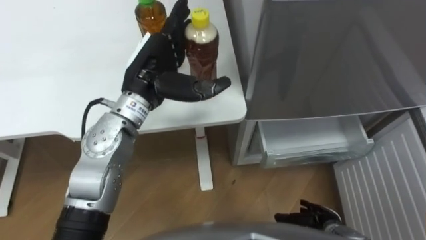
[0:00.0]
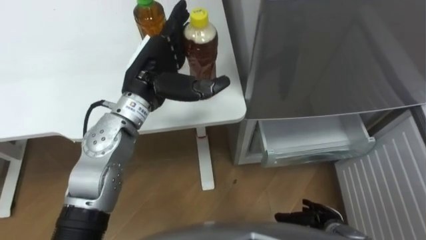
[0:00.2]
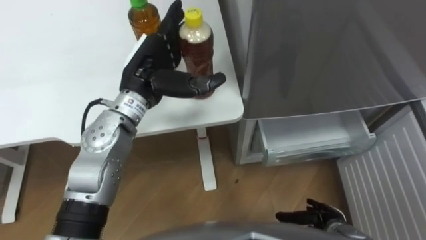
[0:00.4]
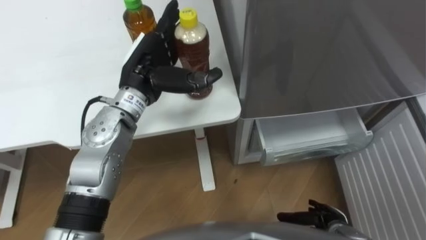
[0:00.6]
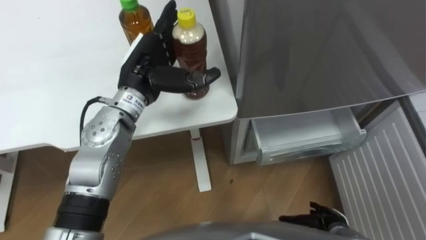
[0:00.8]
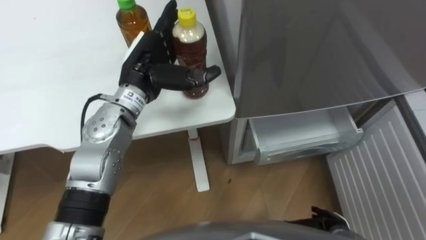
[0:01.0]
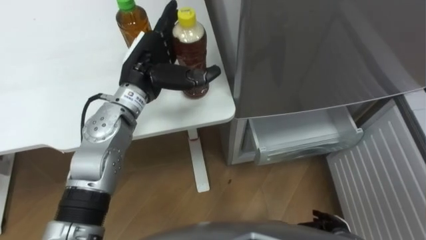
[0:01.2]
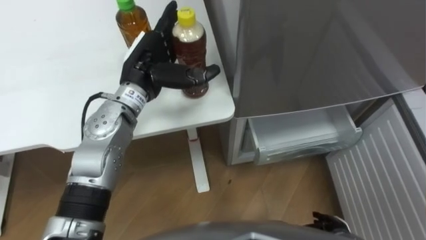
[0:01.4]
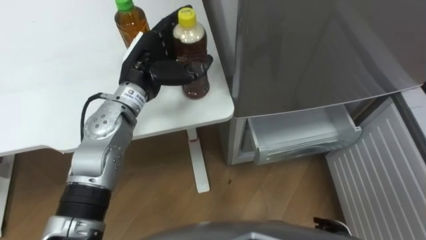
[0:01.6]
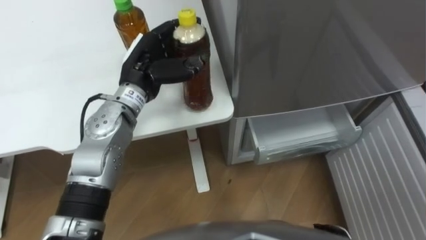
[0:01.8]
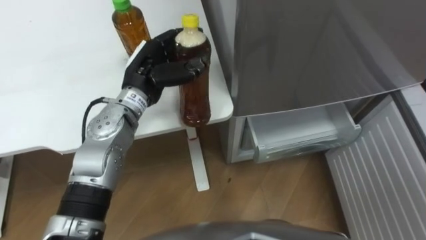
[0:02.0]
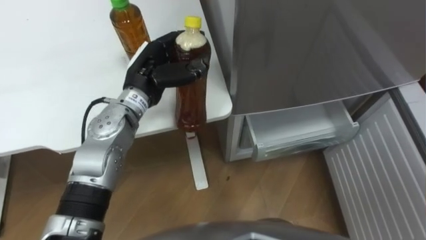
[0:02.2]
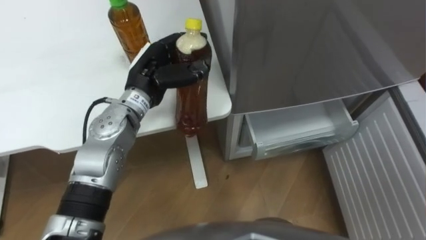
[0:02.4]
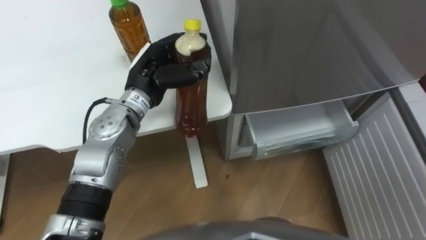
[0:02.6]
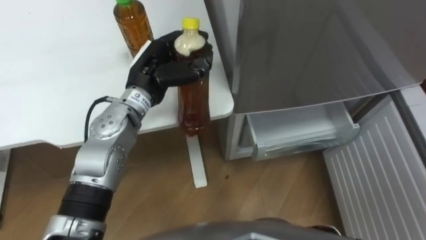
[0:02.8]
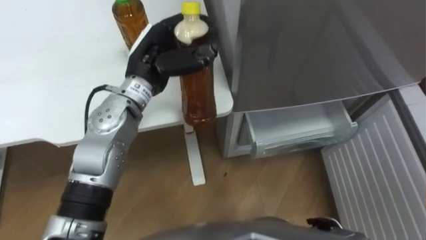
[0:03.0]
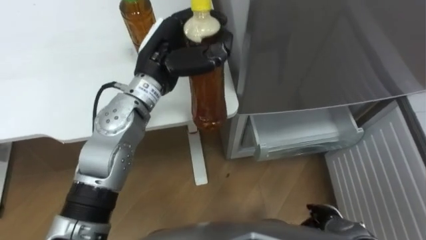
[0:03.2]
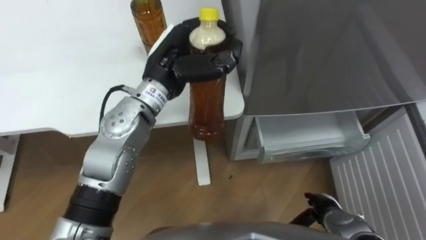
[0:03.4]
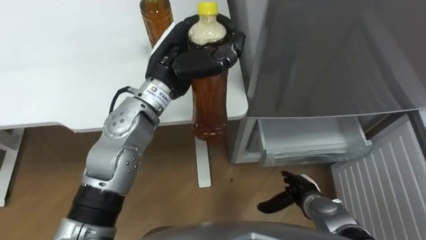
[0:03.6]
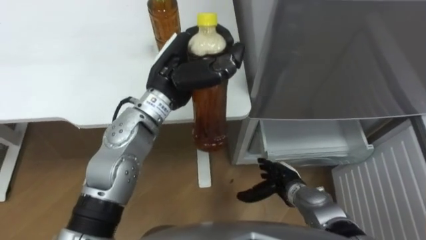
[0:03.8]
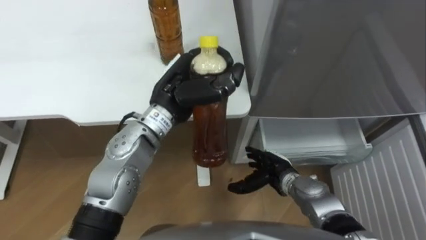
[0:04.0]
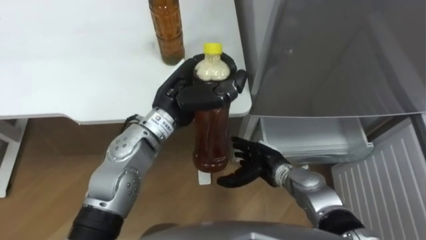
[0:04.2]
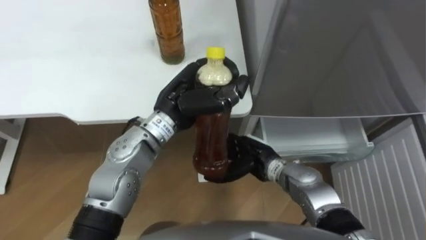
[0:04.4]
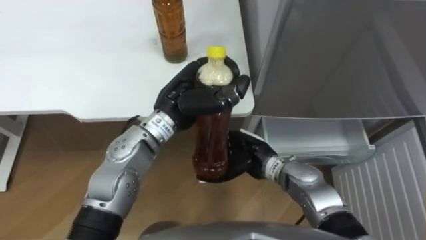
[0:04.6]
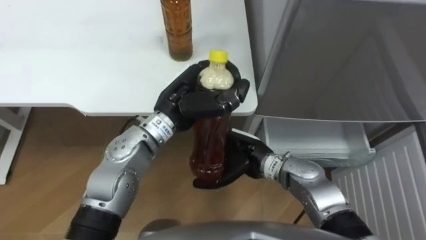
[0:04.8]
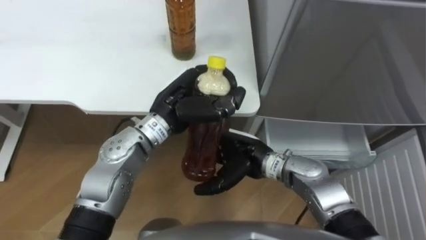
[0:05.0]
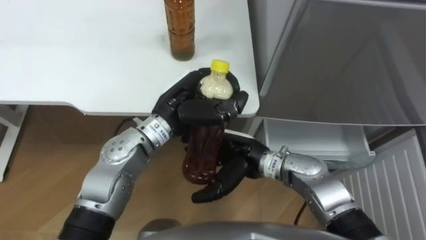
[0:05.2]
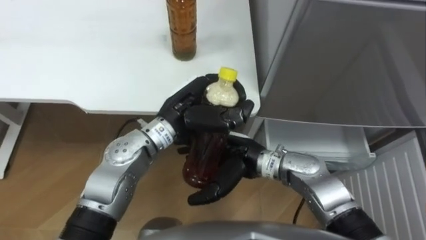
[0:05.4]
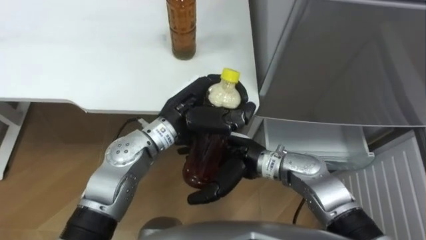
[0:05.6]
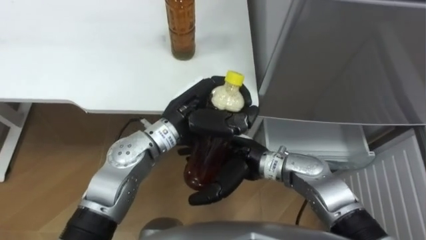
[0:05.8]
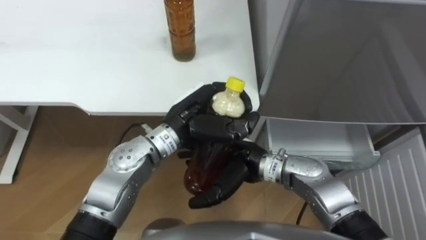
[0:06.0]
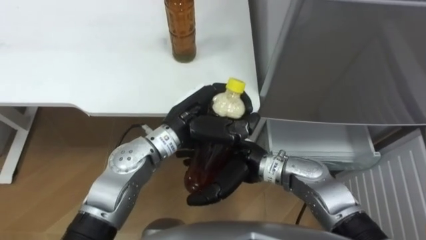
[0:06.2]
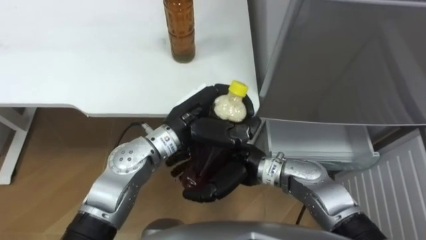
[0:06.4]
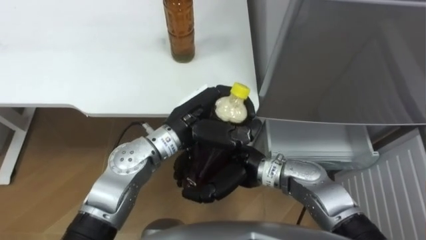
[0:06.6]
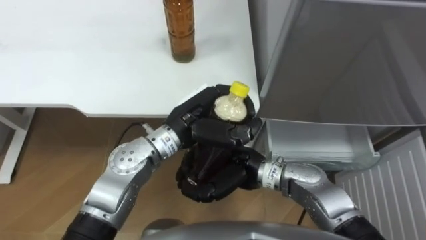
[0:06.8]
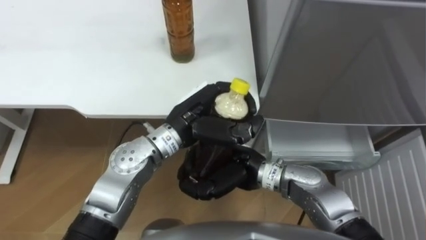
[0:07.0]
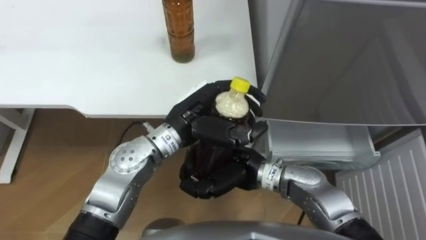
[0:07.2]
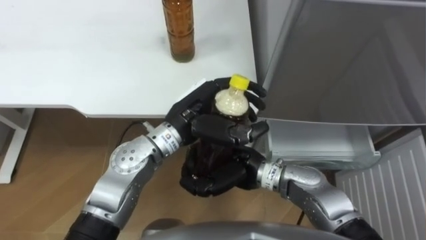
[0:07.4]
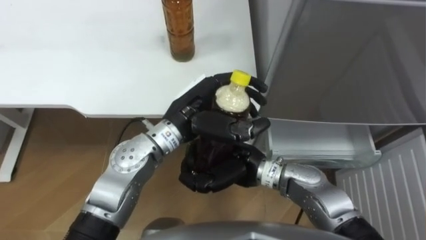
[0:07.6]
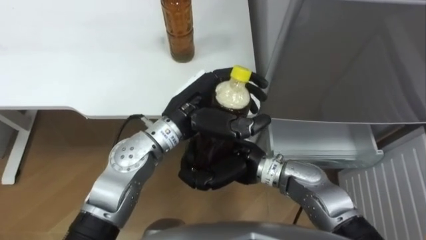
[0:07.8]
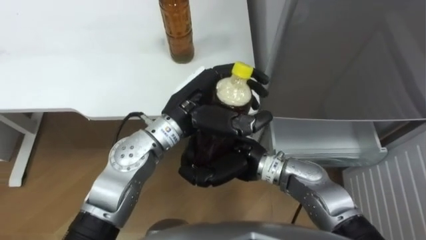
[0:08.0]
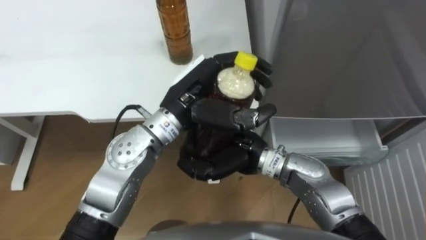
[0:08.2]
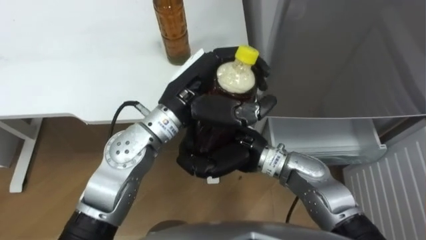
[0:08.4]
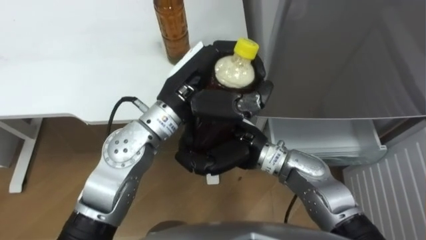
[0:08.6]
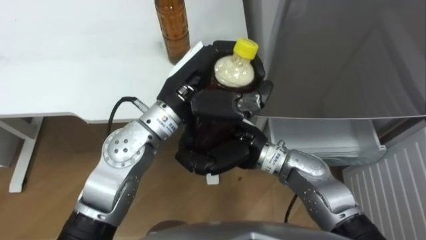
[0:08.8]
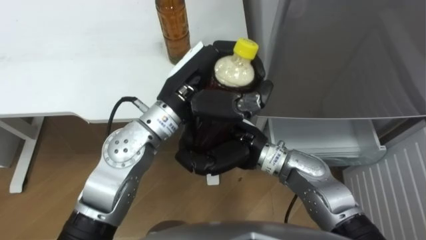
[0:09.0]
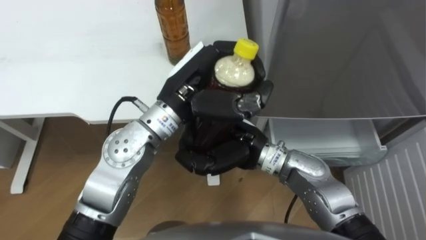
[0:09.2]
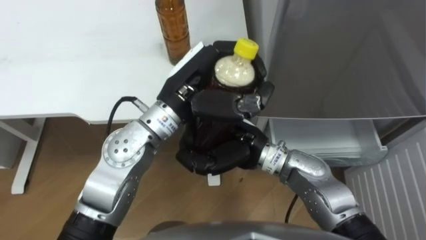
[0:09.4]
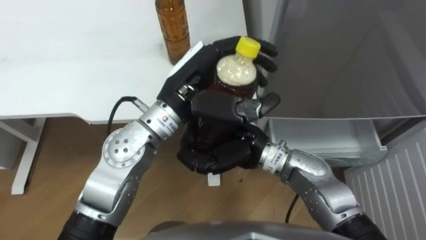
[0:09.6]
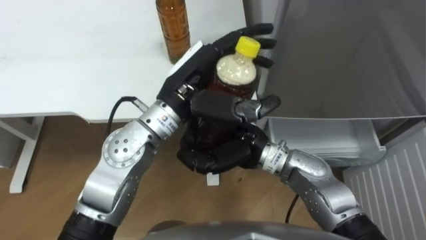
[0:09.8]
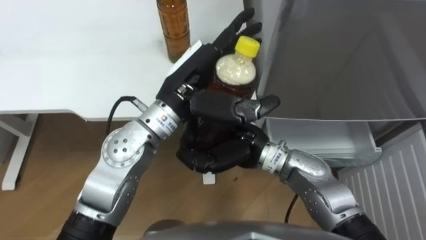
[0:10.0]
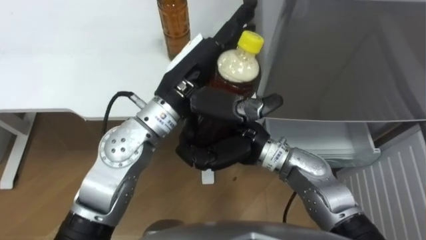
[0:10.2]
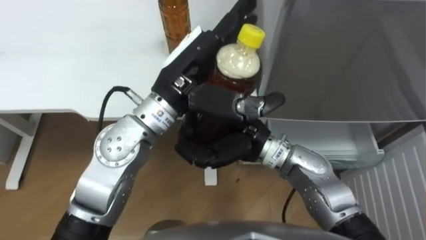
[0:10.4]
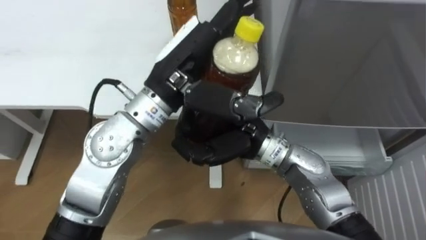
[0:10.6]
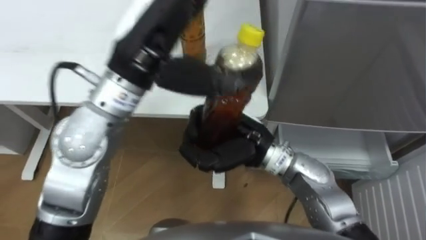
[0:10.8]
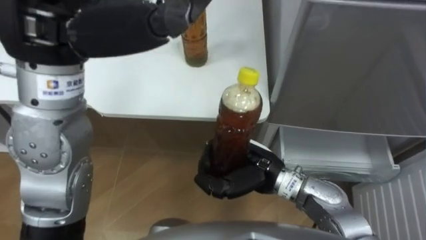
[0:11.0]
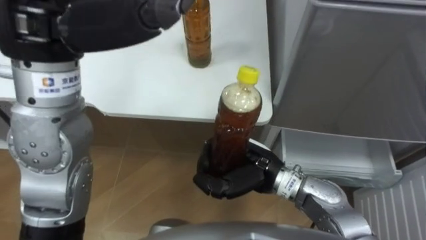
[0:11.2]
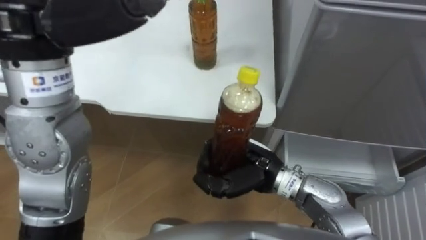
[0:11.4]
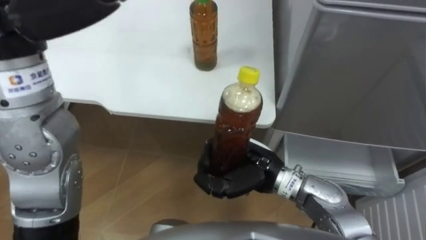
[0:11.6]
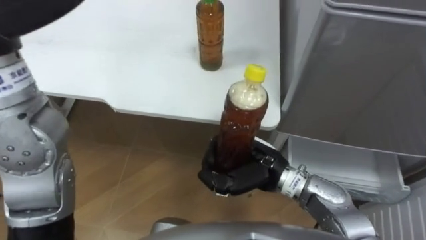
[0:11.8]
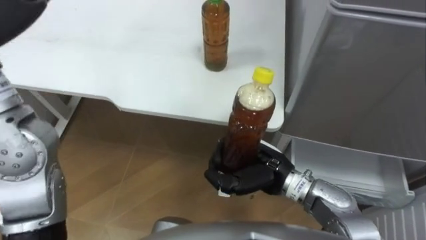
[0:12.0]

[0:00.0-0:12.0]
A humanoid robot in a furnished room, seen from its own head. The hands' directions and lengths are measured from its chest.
Task of the whole recording: Place the drink on the table on the bottom shelf of the refrigerator, then close the drawer and the refrigerator door.
0:01.6 to 0:03.0: The left hand closes its fingers.
0:03.0 to 0:04.4: The left hand travels to the right by roughly 5 cm; the right hand is displaced to the left, forward and upward by about 25 cm.
0:04.4 to 0:06.0: The right hand is displaced upward and to the left by roughly 10 cm.
0:06.0 to 0:07.6: The right hand closes.
0:07.6 to 0:09.0: The left hand shifts roughly 5 cm upward.
0:09.0 to 0:10.4: The left hand opens up.
0:10.4 to 0:12.0: The right hand goes about 5 cm downward.

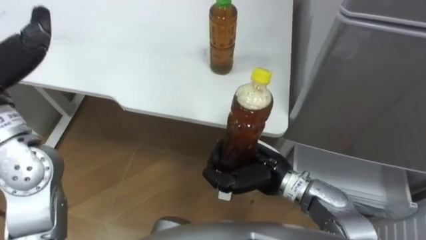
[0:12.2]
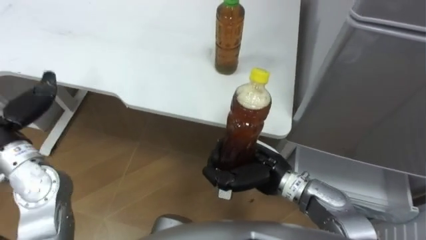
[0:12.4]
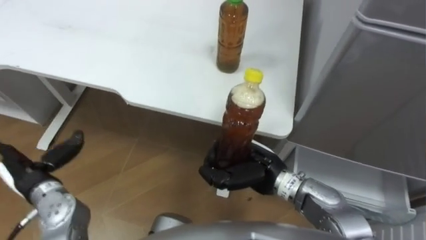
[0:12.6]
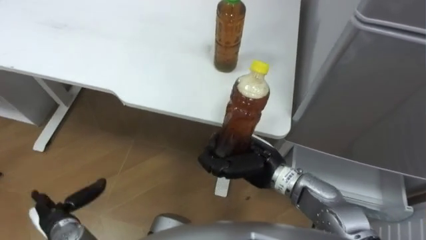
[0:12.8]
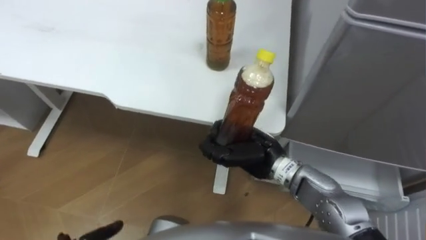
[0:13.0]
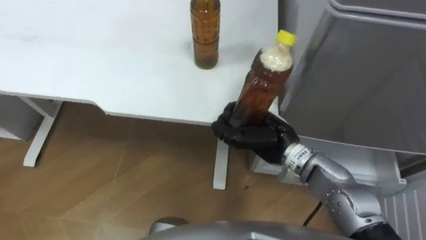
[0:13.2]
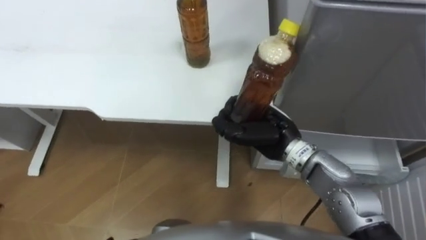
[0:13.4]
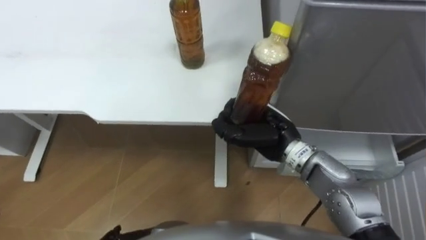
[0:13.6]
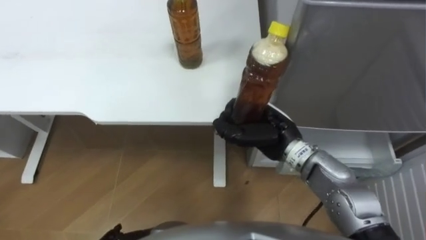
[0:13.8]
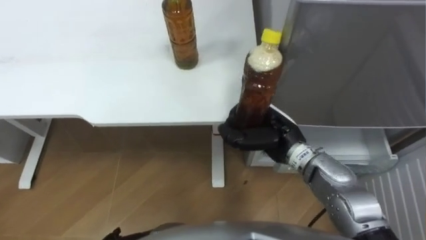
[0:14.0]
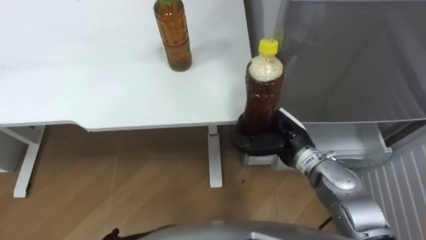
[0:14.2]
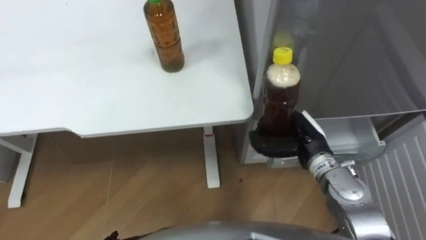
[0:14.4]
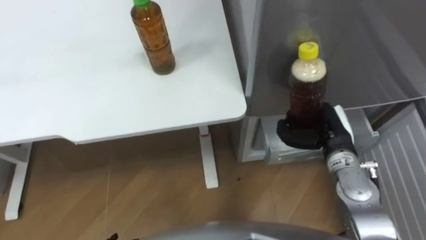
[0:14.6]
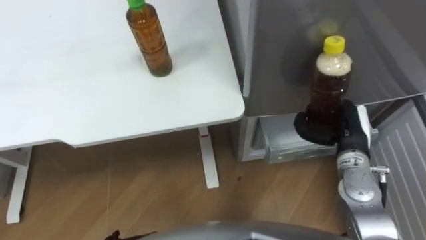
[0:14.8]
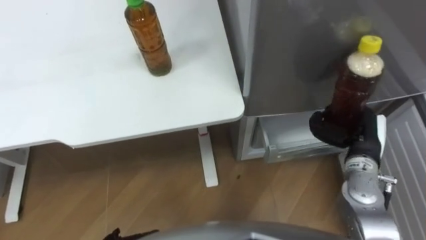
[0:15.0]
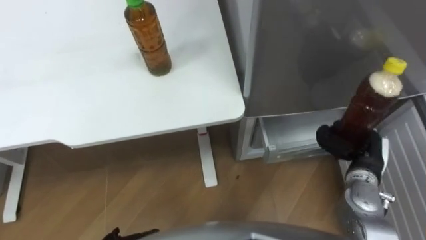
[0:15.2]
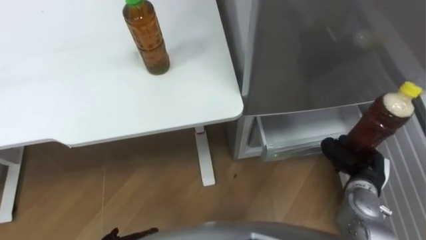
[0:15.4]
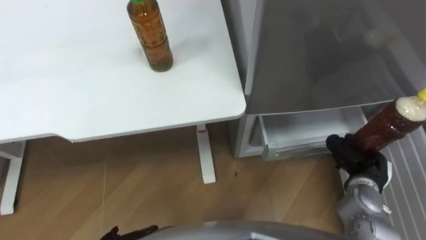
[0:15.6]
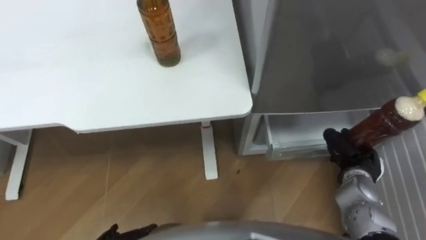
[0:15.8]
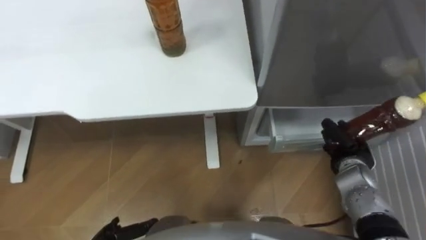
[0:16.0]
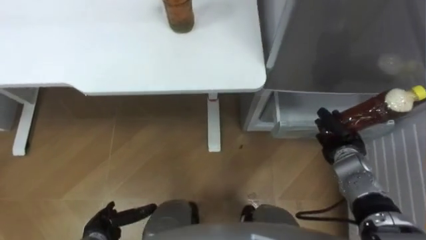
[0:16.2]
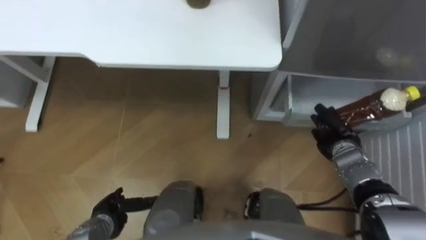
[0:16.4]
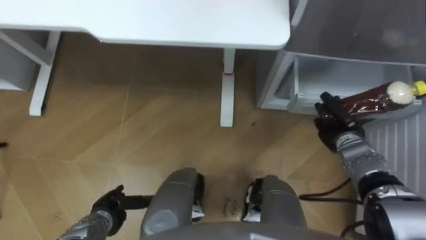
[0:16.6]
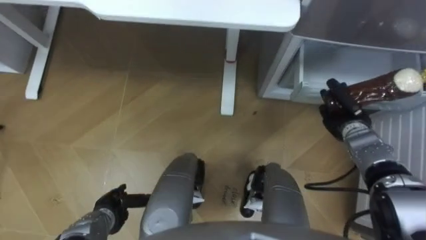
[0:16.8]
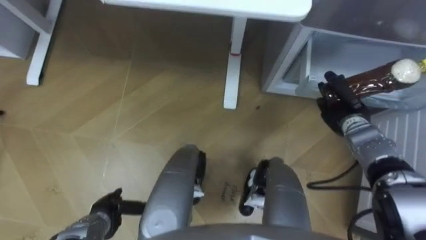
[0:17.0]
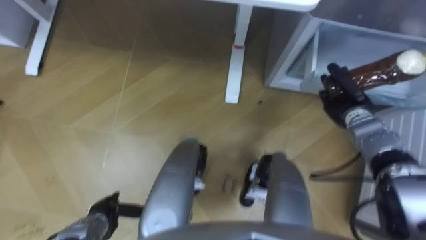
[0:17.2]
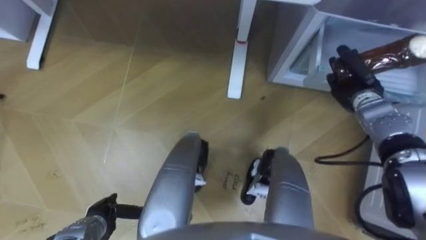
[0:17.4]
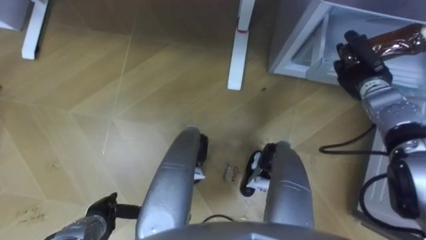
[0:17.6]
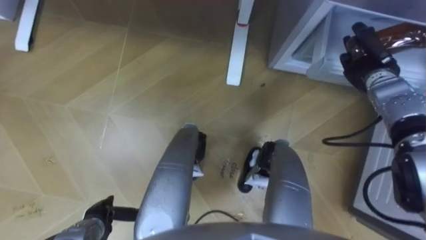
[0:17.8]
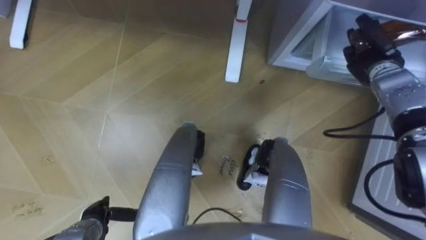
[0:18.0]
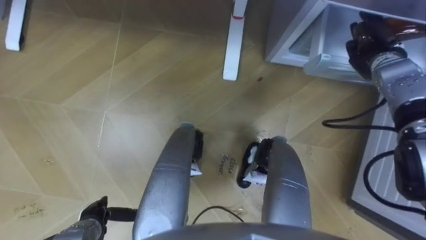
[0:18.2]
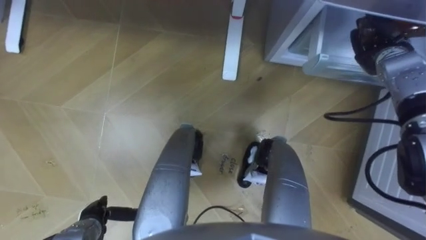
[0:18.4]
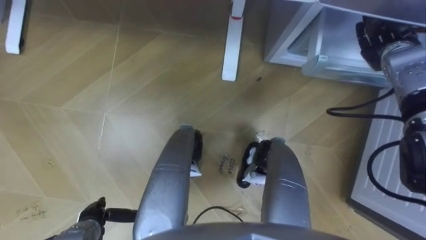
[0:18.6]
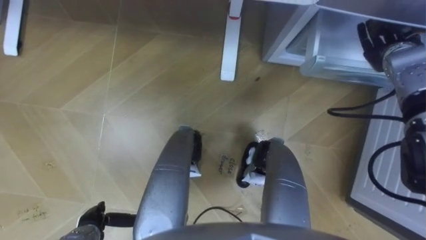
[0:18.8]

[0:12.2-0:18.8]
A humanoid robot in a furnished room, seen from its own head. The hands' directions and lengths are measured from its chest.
Task of the whole recording: Place the drink on the table on the bottom shelf of the refrigerator, then close the drawer and the refrigerator door.
0:12.2 to 0:13.8: The right hand heads forward, covering approximately 5 cm.
0:13.8 to 0:15.4: The right hand shifts roughly 20 cm to the right and downward.
0:15.4 to 0:17.2: The right hand shifts approximately 15 cm forward.
0:17.2 to 0:18.8: The right hand is displaced upward and forward by some 15 cm, and opens its fingers.
